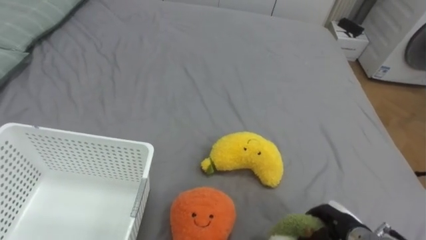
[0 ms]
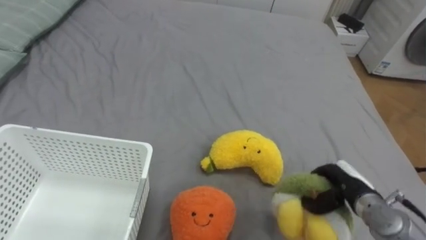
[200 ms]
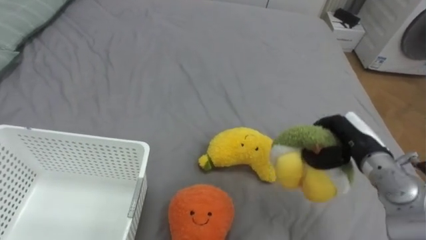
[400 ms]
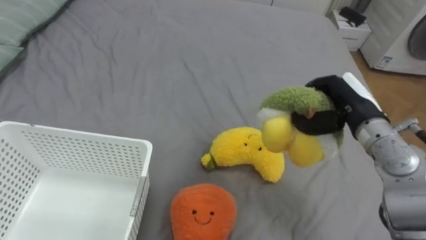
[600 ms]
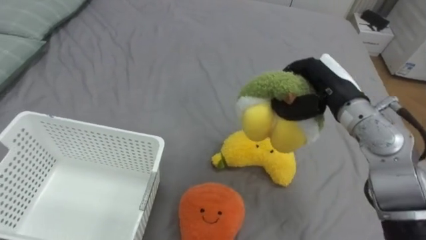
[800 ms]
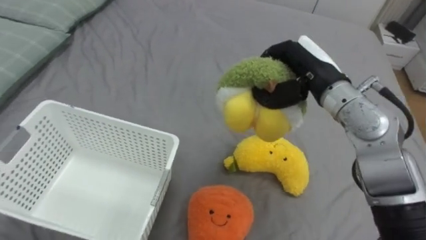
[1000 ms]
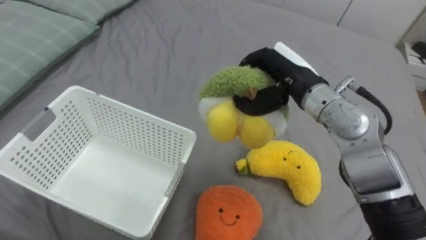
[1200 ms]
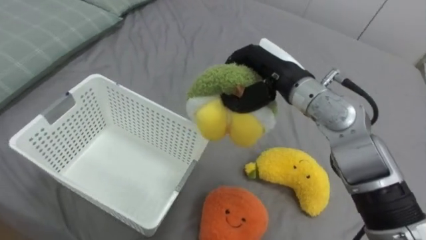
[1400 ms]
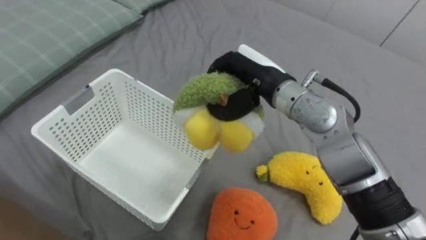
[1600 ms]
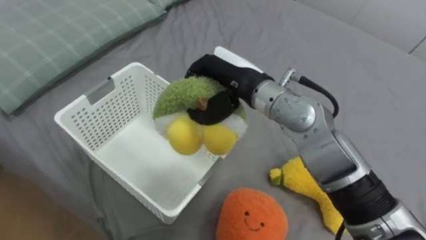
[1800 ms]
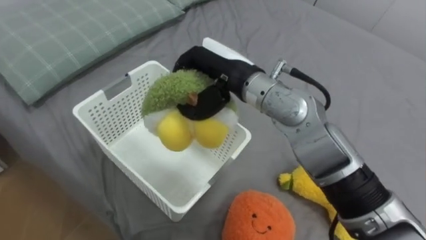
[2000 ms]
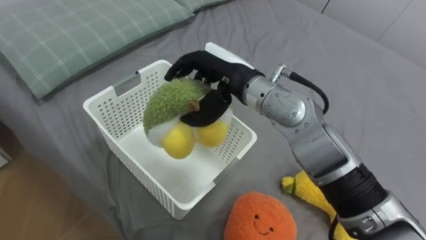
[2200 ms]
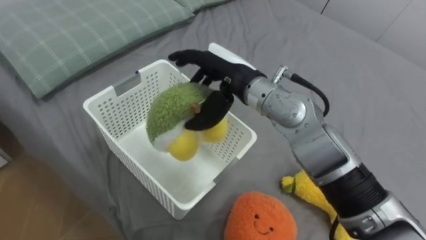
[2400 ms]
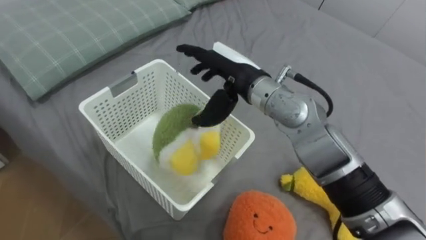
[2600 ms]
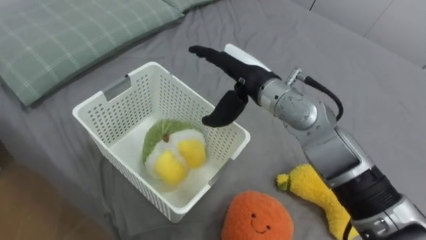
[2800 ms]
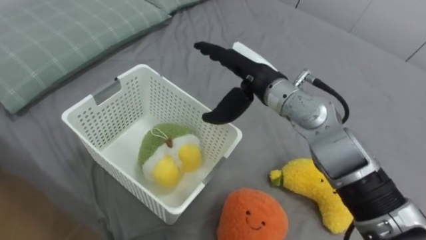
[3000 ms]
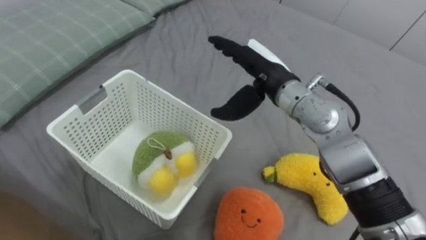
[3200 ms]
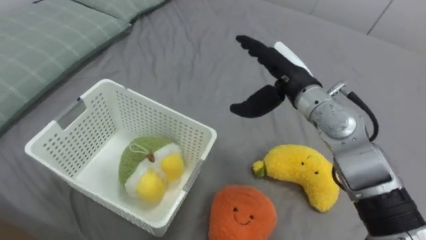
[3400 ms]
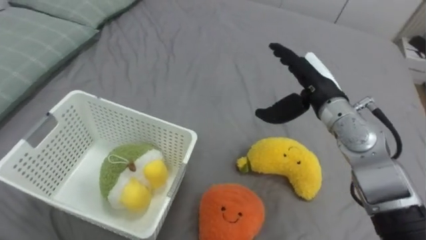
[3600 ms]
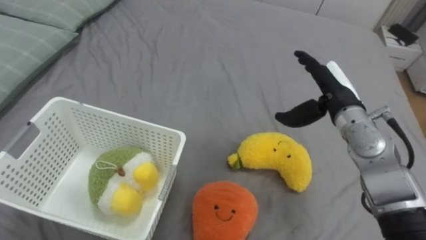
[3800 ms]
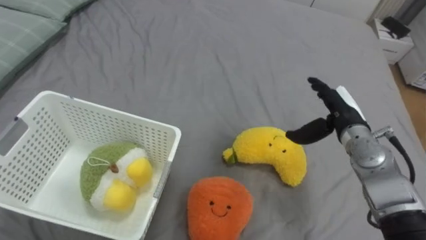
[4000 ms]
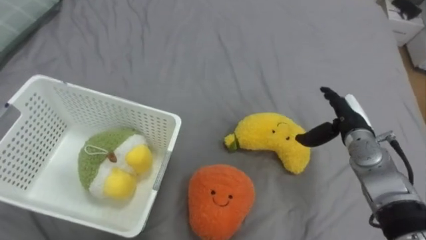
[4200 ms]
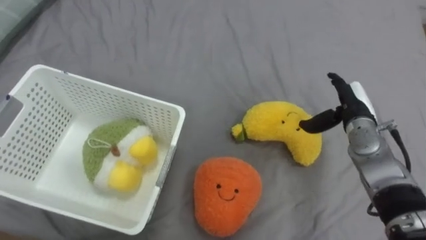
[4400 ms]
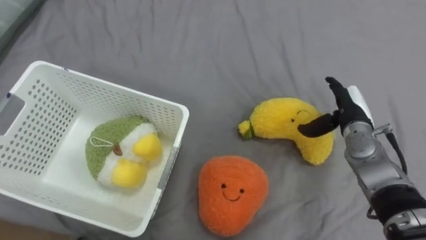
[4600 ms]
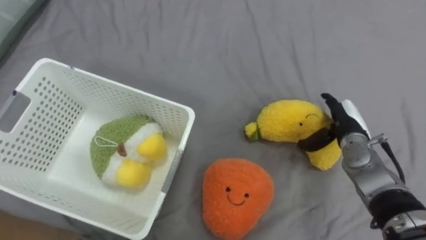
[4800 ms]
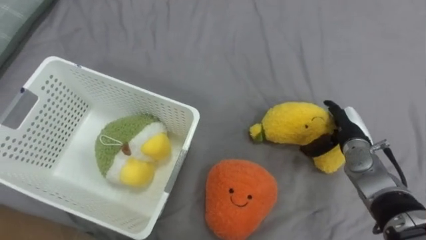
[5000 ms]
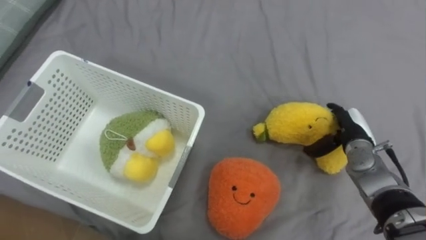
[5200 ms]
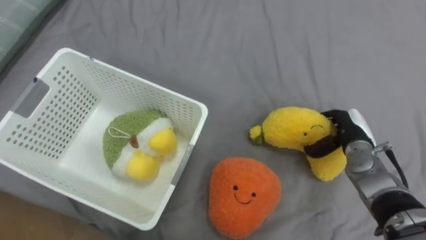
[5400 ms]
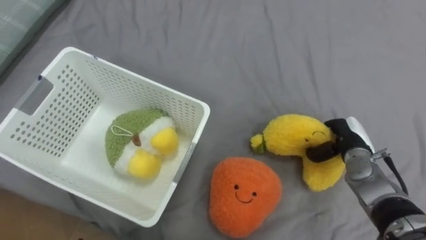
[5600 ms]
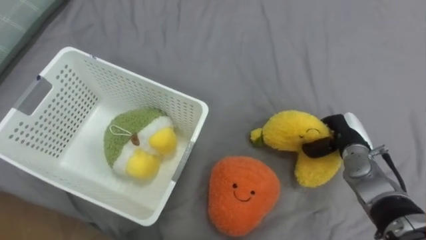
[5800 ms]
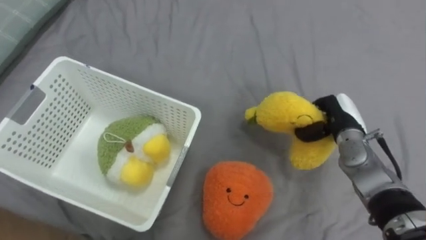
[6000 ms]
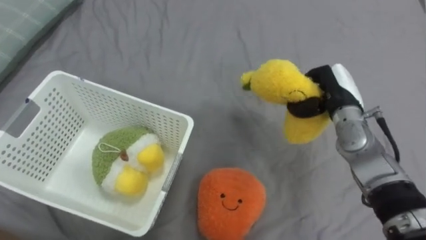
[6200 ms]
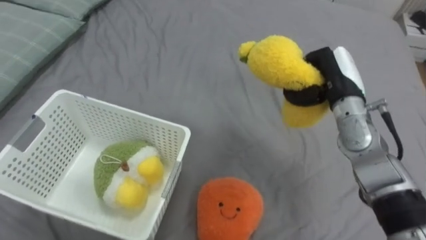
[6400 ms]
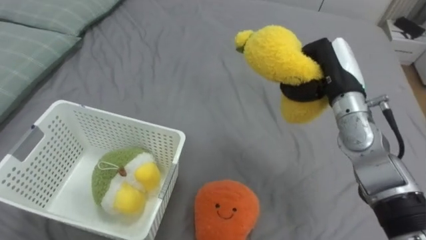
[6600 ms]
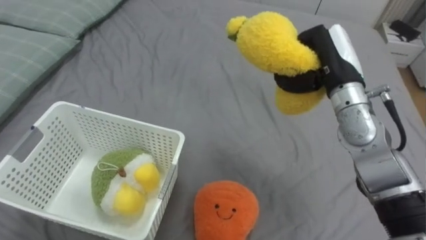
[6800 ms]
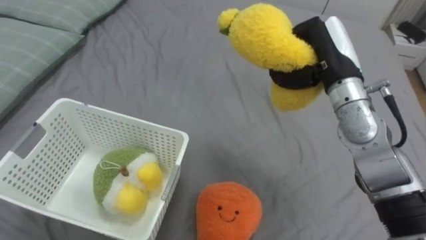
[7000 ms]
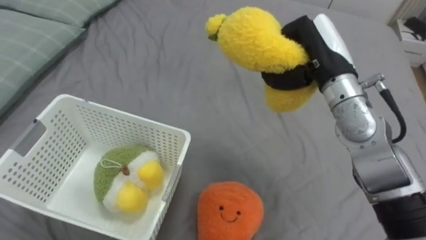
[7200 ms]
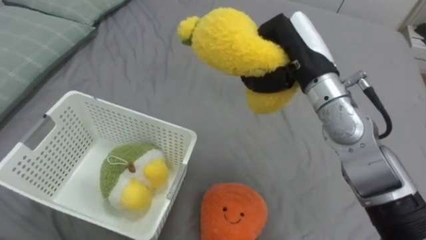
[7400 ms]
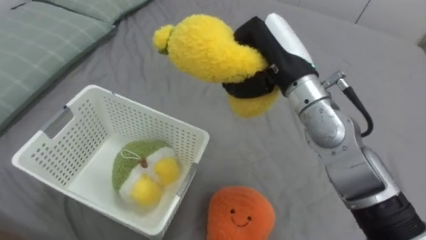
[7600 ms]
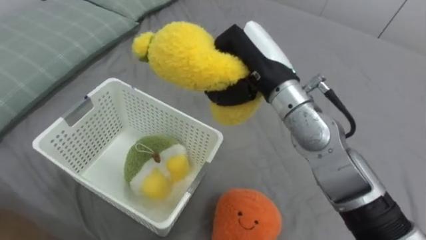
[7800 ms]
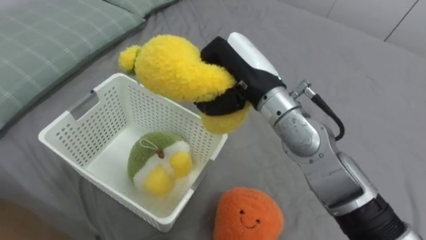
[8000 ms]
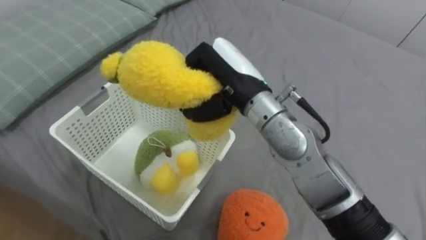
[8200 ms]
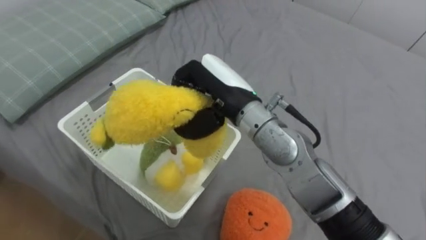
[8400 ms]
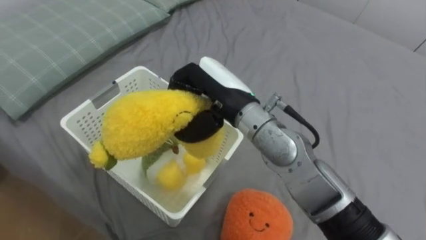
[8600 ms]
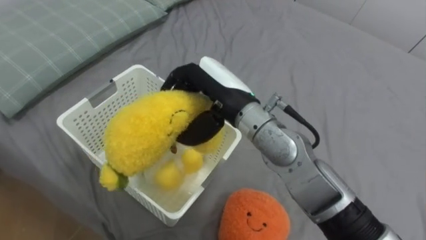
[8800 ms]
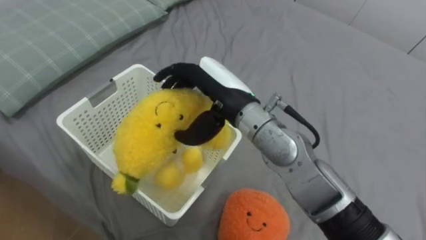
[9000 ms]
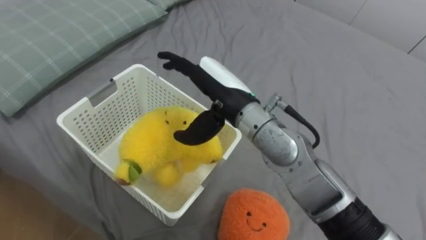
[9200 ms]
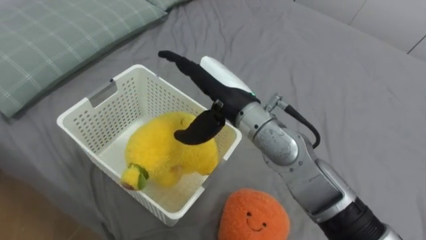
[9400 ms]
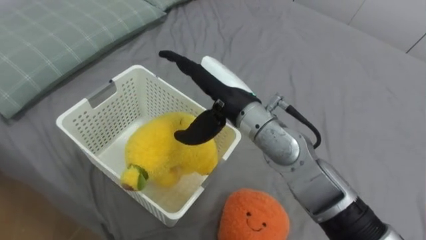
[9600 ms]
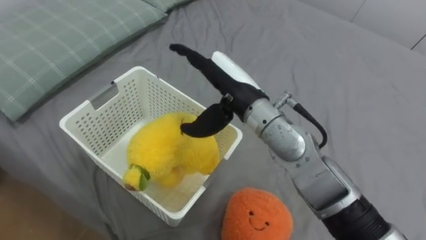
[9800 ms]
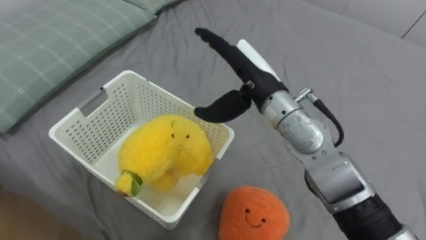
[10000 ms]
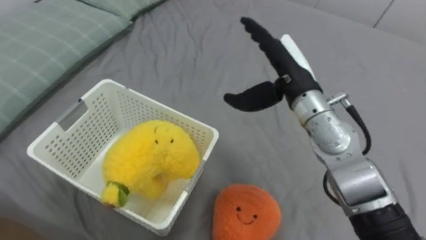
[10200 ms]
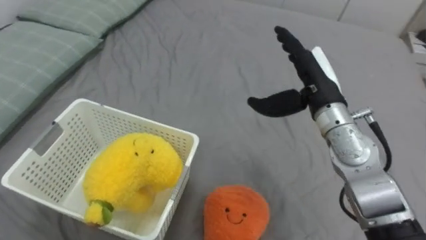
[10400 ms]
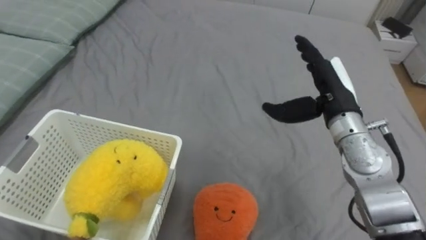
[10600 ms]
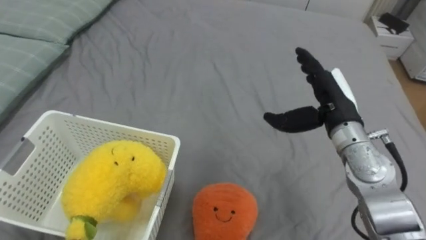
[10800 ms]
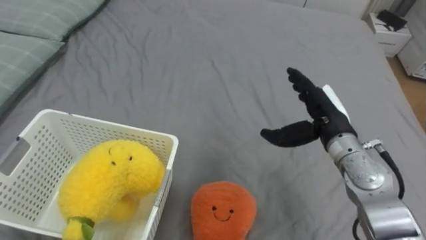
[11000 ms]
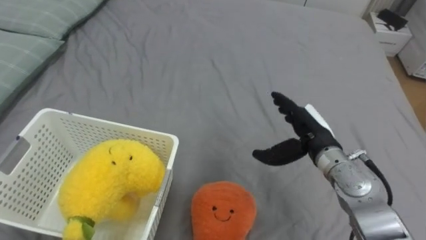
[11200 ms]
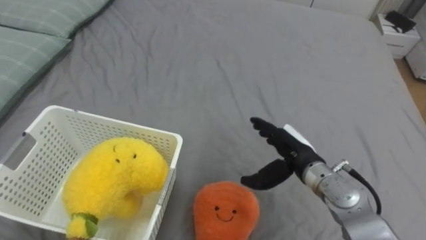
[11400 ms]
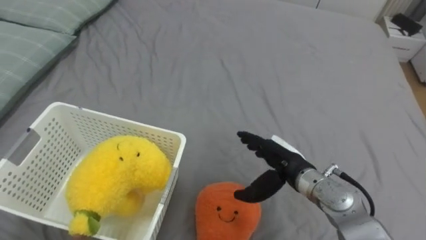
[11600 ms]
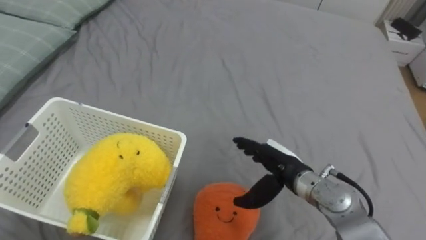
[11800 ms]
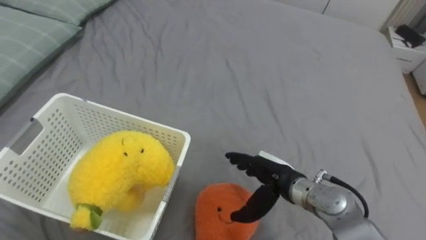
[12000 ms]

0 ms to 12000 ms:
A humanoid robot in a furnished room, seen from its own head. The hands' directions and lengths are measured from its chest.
Task of the whole recording: Put the toys on the bed into the basket on the left.
0 ms to 1600 ms: The right hand is displaced upward, to the left and forward by some 35 cm.
1600 ms to 3000 ms: The right hand opens up.
3000 ms to 4400 ms: The right hand moves to the right and downward, some 25 cm.
4400 ms to 6000 ms: The right hand closes its fingers.
6000 ms to 7600 ms: The right hand goes roughly 25 cm upward and to the left.
7600 ms to 9000 ms: The right hand heads to the left, covering some 10 cm, and opens.
9000 ms to 10400 ms: The right hand travels to the right by approximately 15 cm.
10400 ms to 12000 ms: The right hand goes about 20 cm downward and backward.

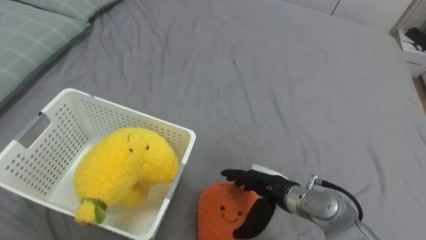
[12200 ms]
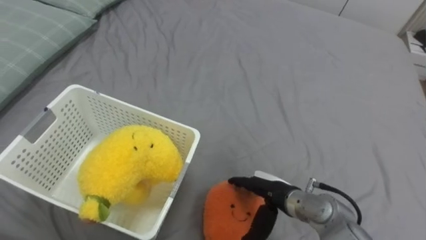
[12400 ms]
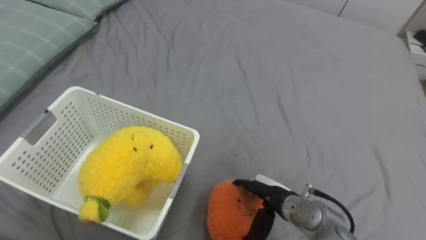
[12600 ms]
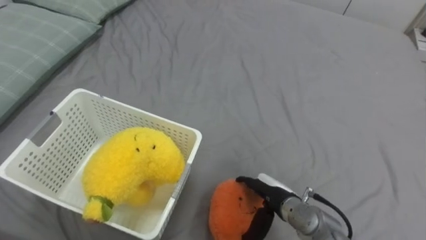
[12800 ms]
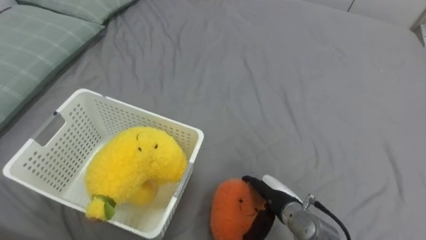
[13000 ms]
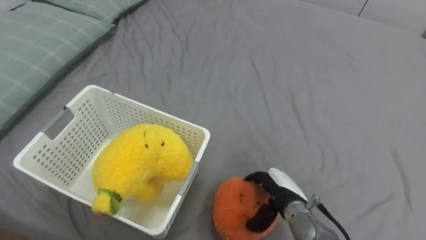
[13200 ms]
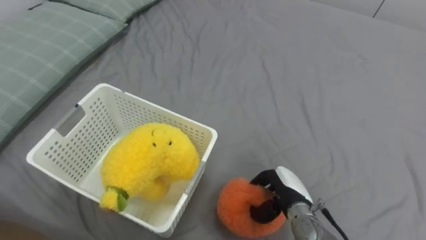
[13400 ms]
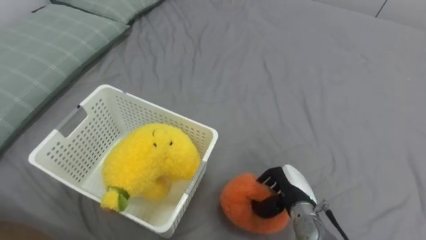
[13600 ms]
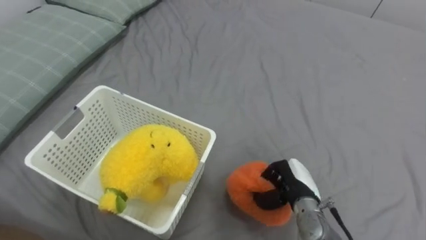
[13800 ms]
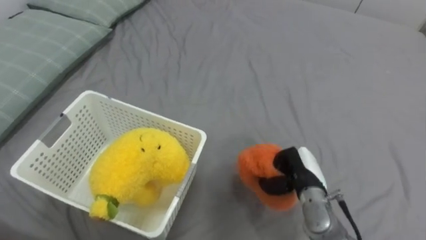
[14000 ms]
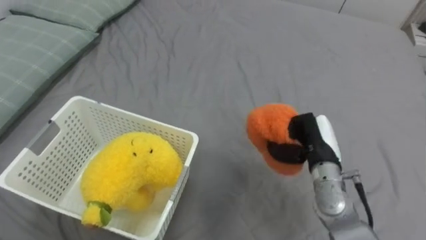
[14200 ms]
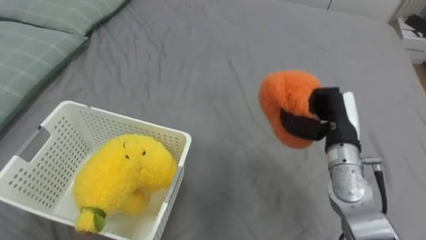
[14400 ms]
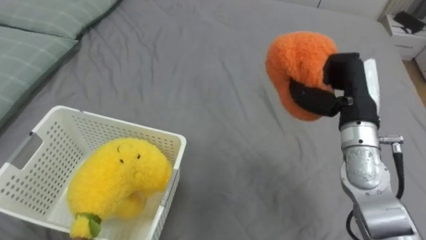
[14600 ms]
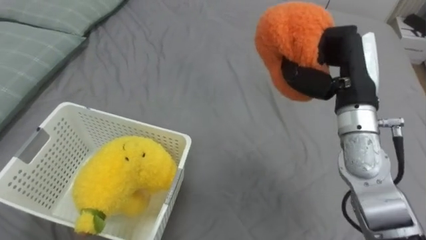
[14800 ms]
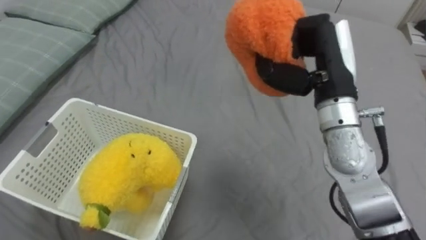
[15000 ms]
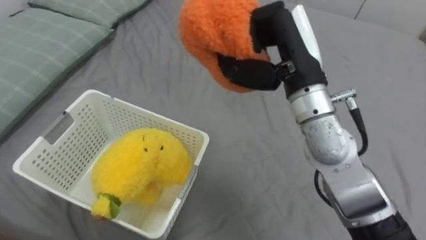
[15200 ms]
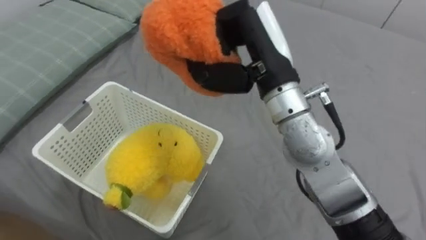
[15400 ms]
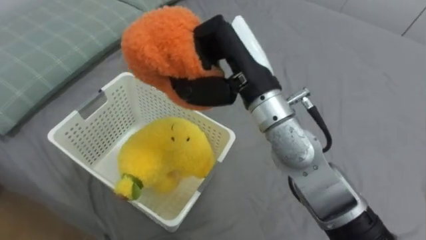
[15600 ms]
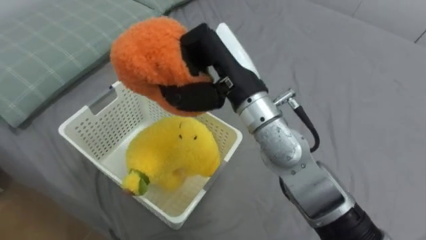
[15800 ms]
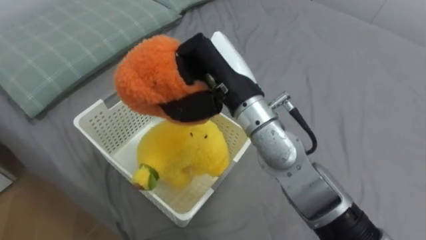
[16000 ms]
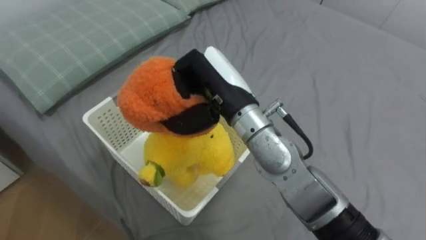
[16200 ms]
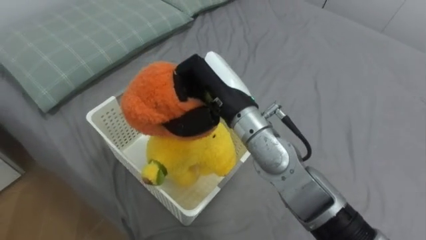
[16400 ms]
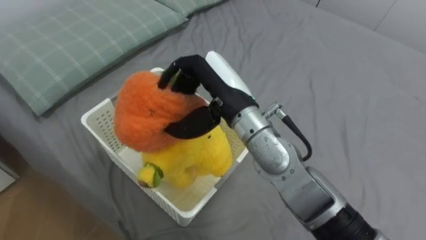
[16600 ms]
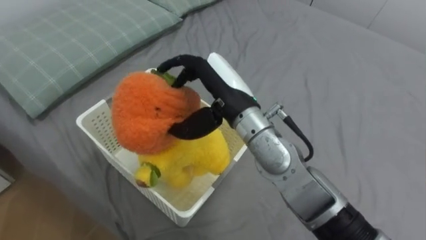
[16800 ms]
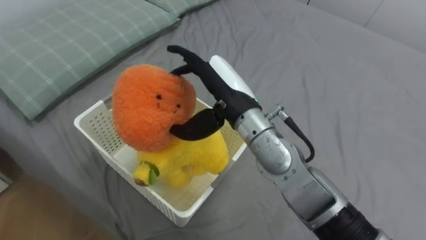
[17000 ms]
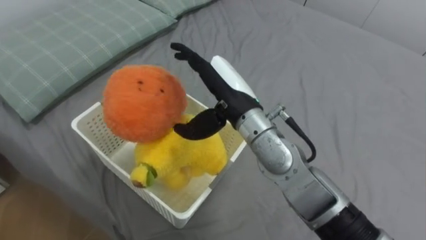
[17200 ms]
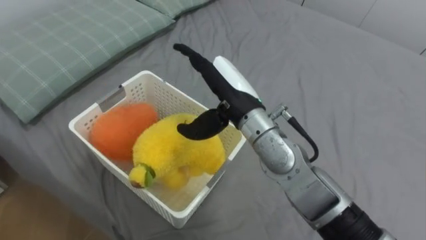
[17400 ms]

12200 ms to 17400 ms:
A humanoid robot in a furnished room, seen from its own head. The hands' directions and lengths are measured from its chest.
Task of the whole recording: Put the toys on the bed into the basket on the left.
12200 ms to 14000 ms: The right hand heads to the right, covering some 5 cm, and closes up.
14000 ms to 15600 ms: The right hand shifts about 30 cm upward and to the left.
15600 ms to 17400 ms: The right hand heads downward, covering about 5 cm, and opens its fingers.
